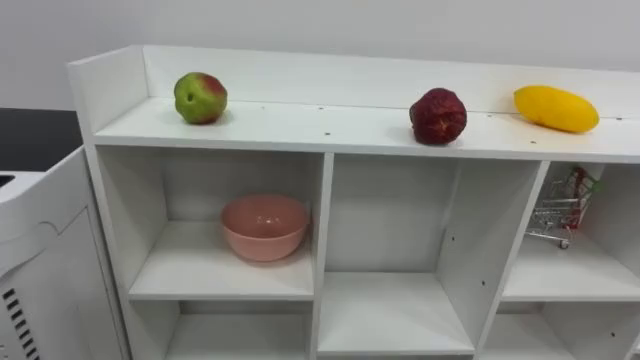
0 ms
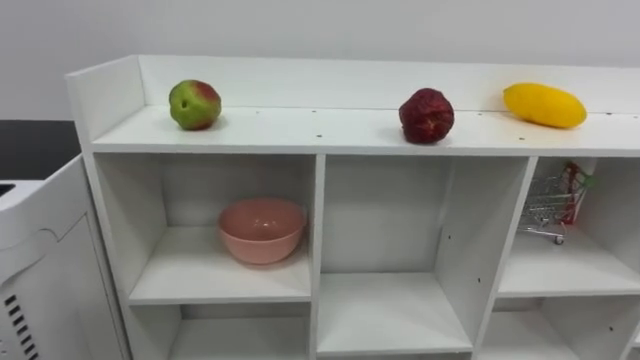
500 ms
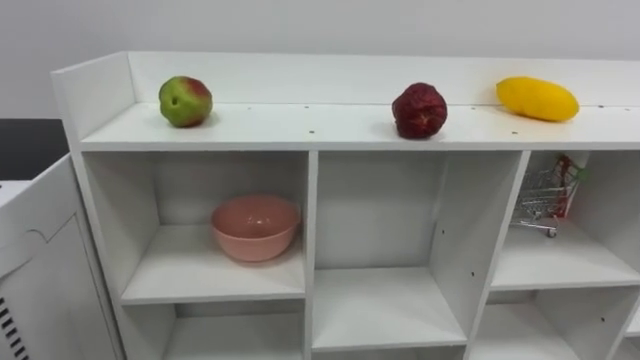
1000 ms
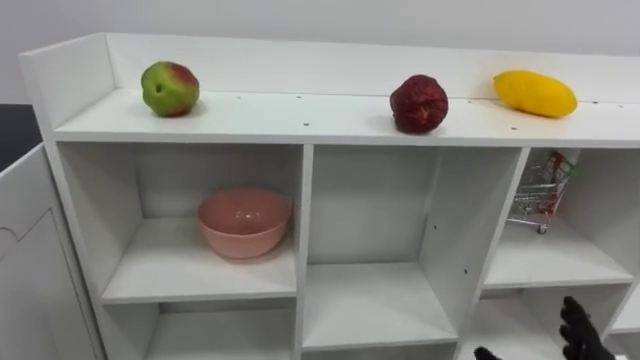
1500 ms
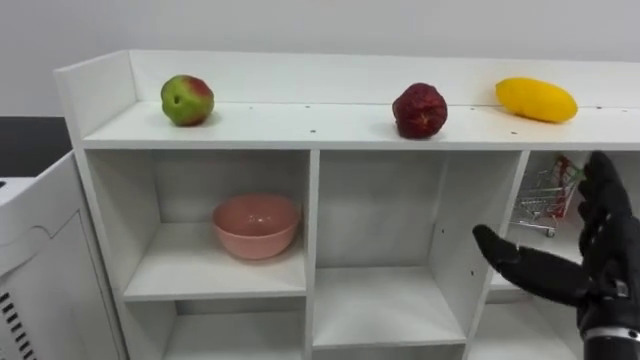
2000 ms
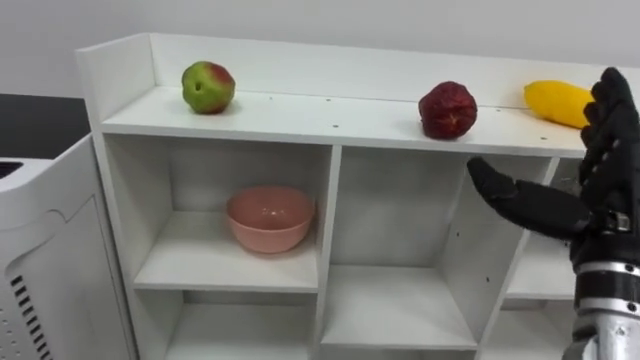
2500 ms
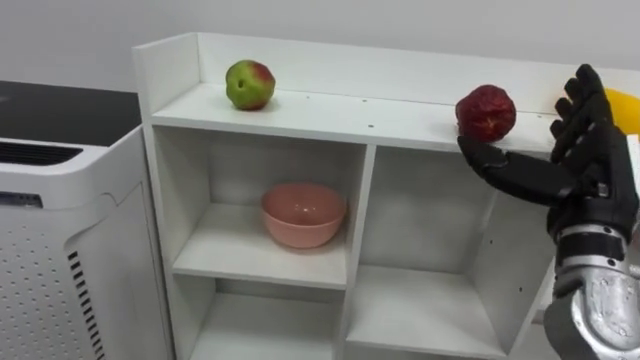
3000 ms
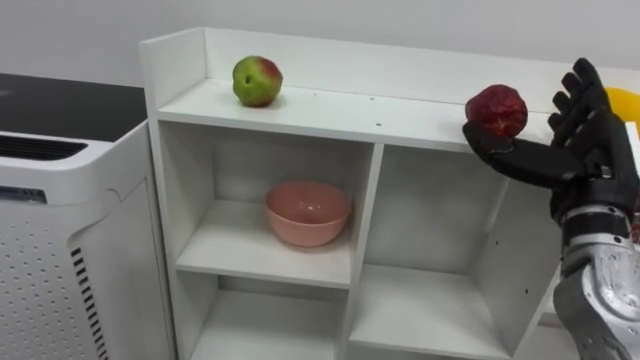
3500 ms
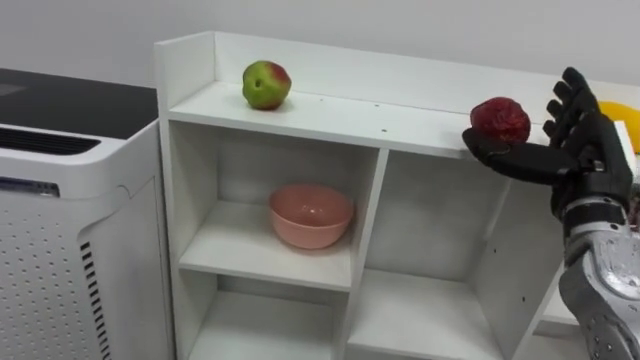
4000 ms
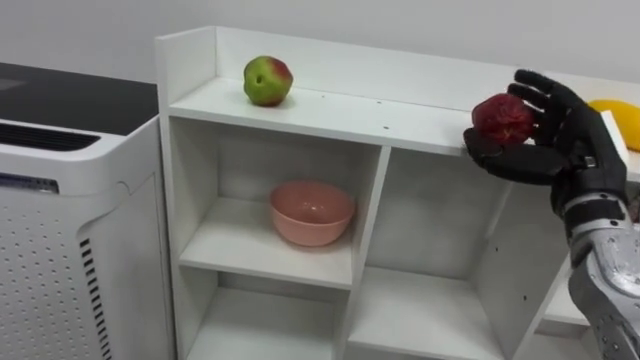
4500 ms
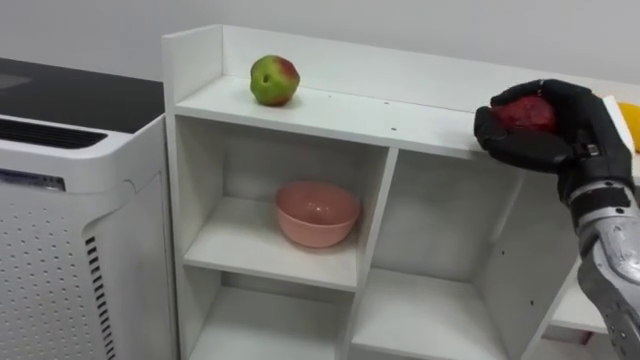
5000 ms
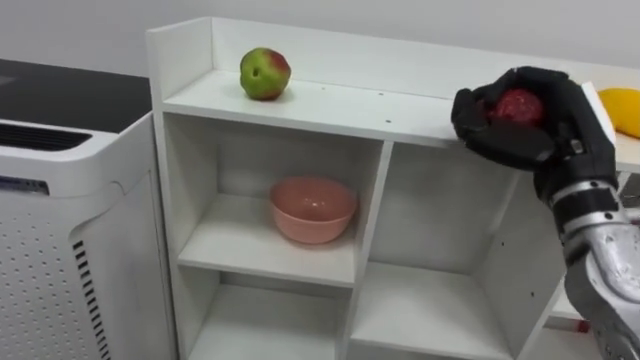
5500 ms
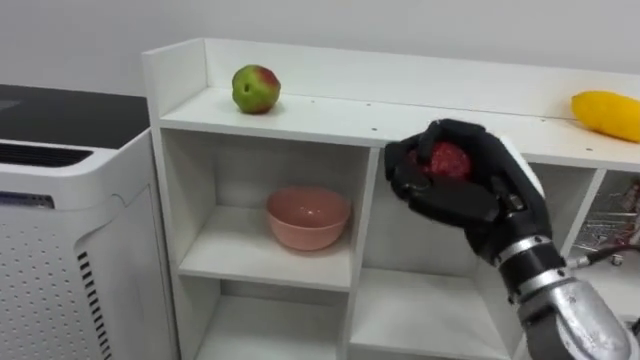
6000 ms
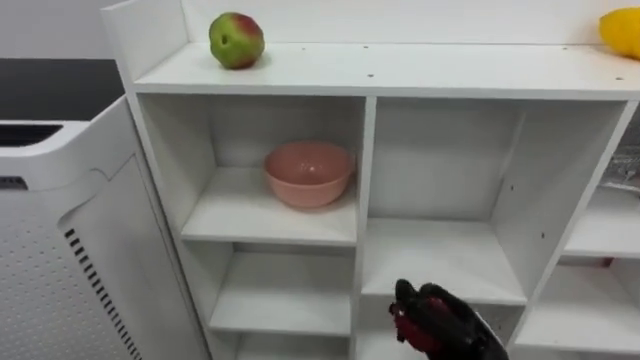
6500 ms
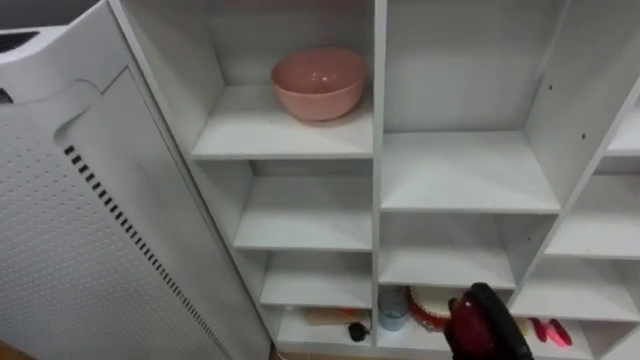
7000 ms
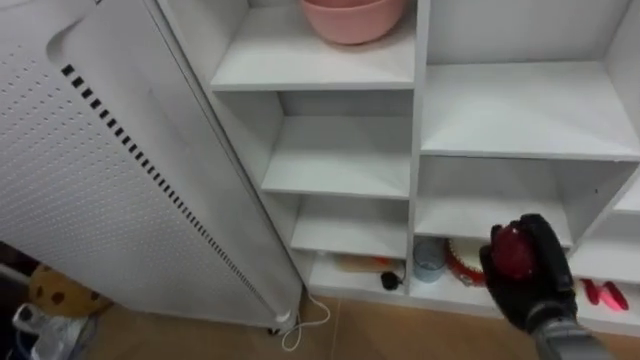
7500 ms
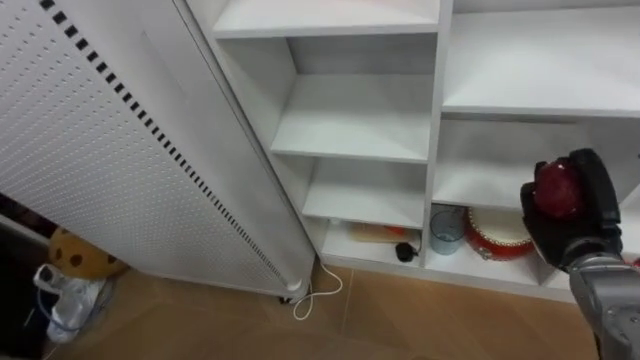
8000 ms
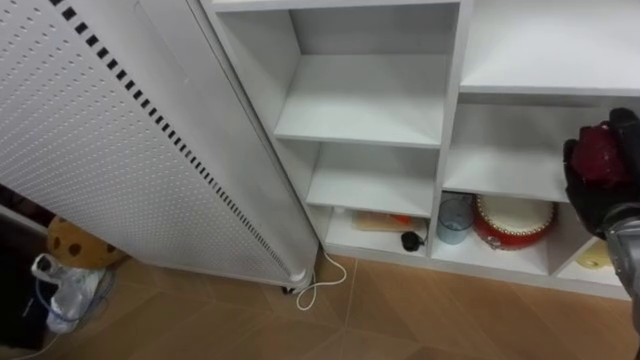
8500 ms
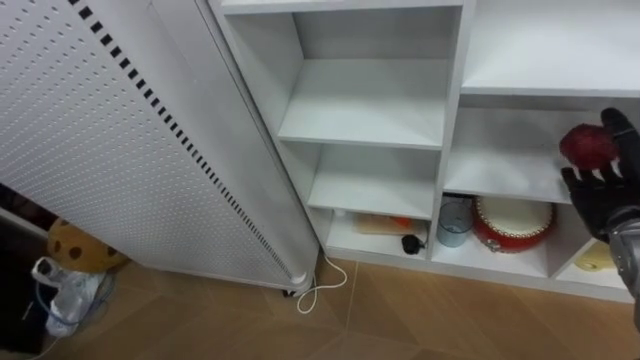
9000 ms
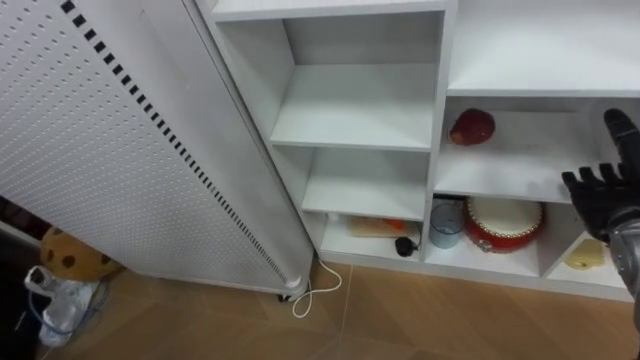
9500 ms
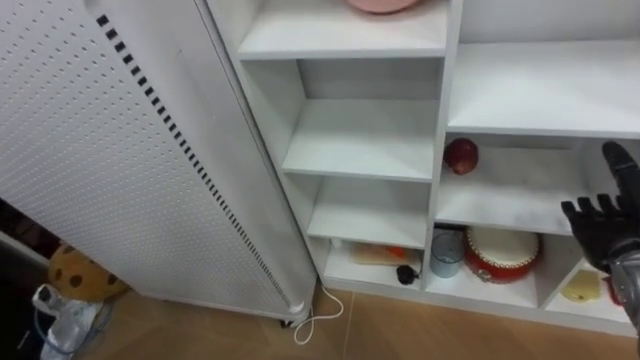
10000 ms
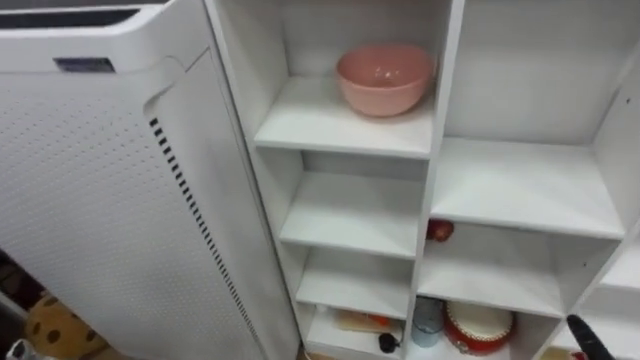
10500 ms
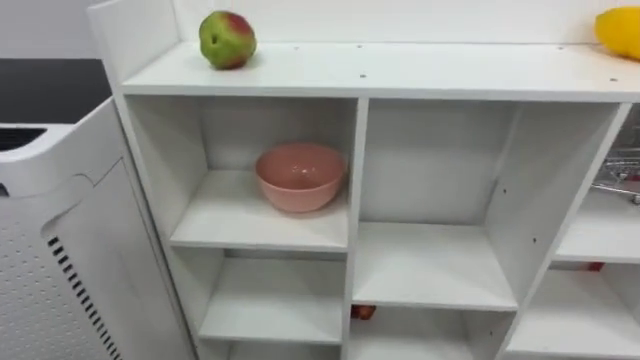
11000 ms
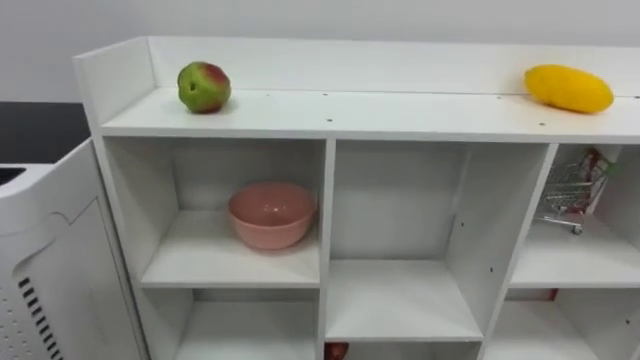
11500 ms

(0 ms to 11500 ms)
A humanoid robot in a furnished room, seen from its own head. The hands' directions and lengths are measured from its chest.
Task of the whole recording: Put the apple in the cell in the second column from the left and the second row from the top.
2000 ms - 4000 ms: The right hand is displaced forward and upward by roughly 10 cm.
4000 ms - 6000 ms: The right hand moves to the left, some 10 cm, and closes its fingers.
7500 ms - 9500 ms: The right hand moves upward and to the right, about 15 cm, and opens up.

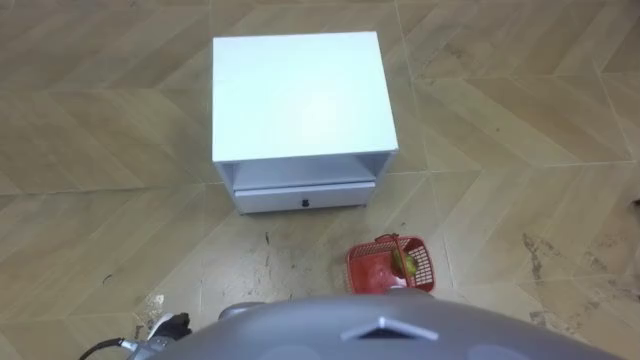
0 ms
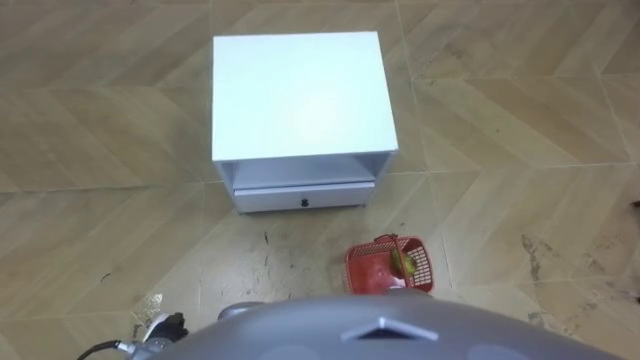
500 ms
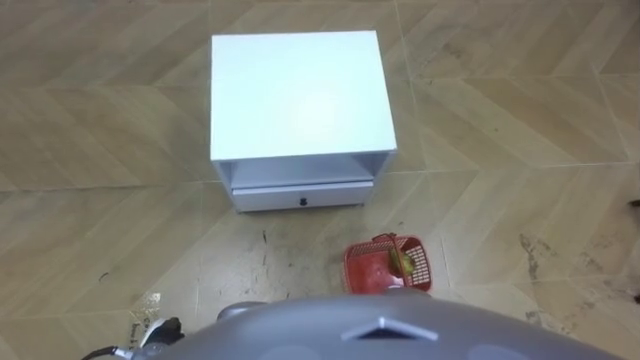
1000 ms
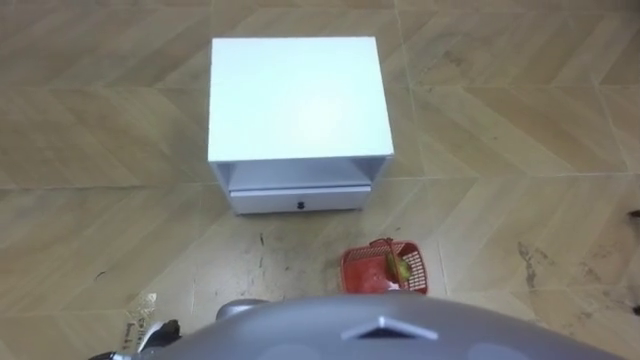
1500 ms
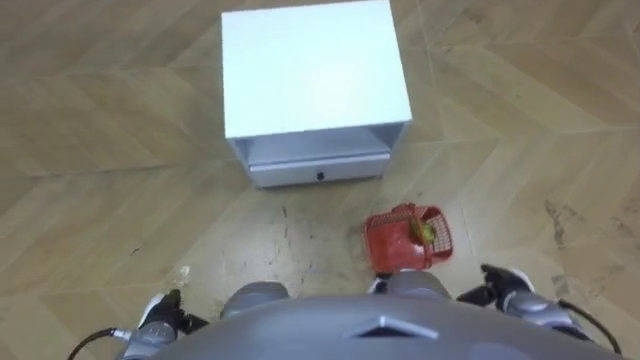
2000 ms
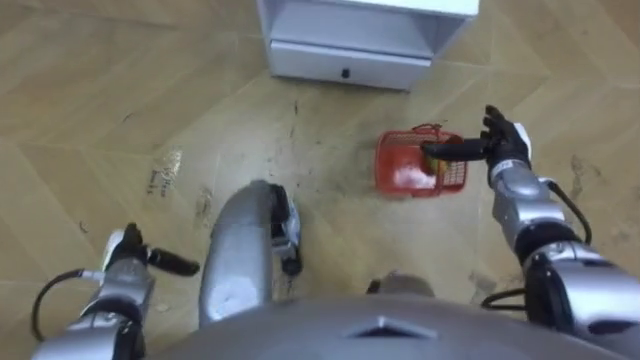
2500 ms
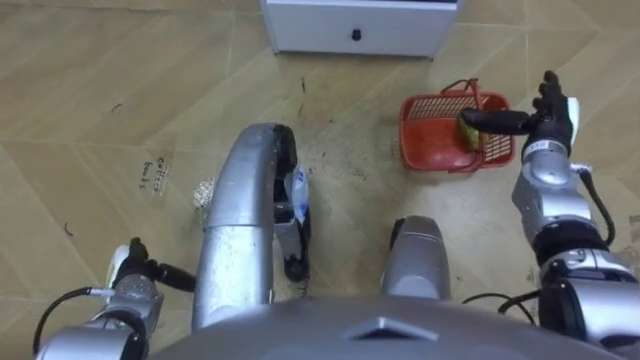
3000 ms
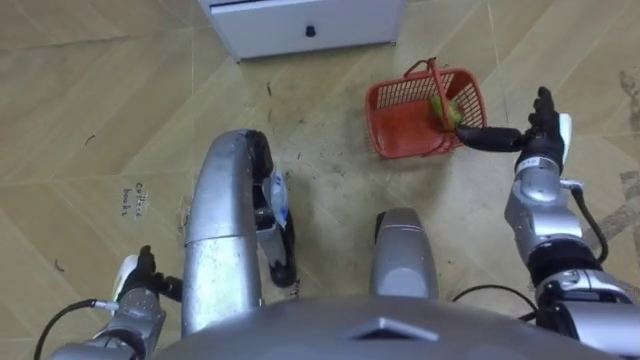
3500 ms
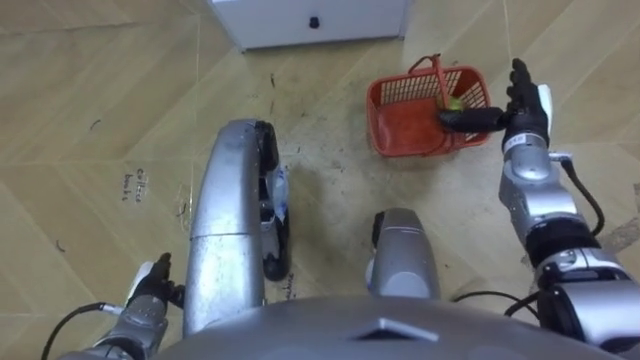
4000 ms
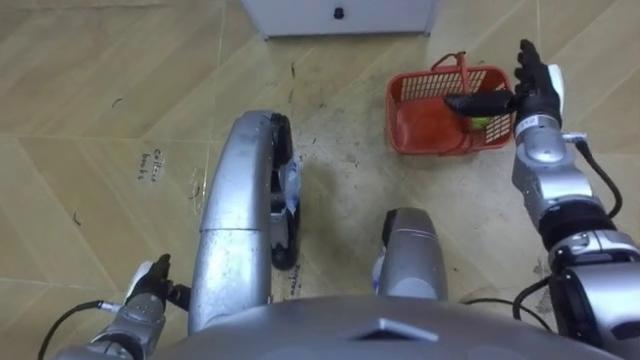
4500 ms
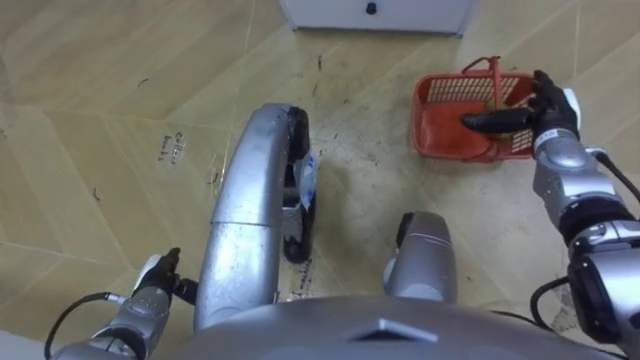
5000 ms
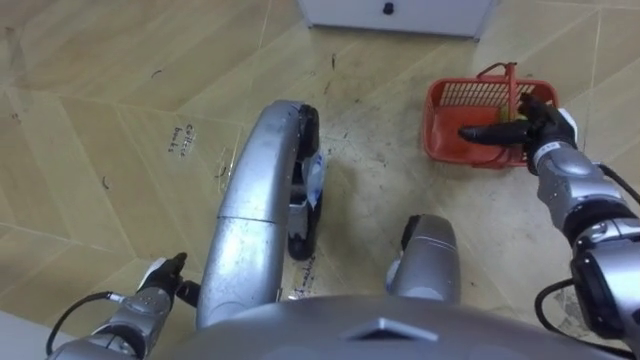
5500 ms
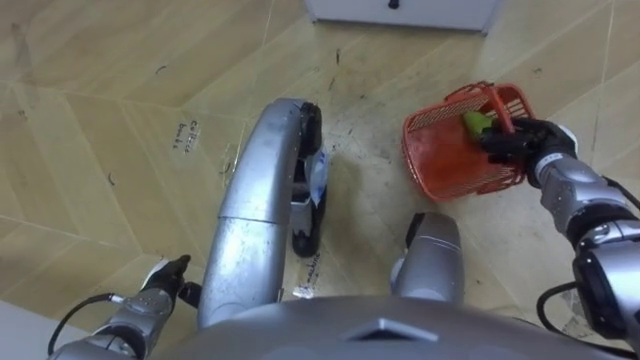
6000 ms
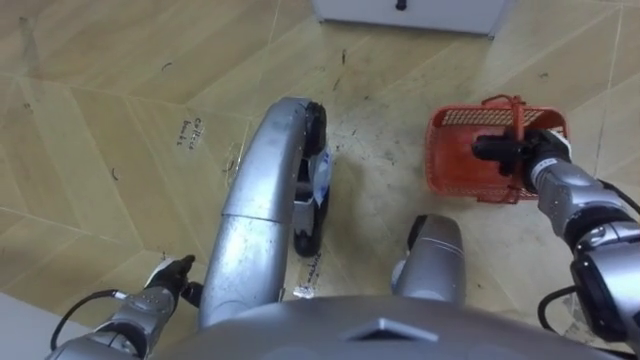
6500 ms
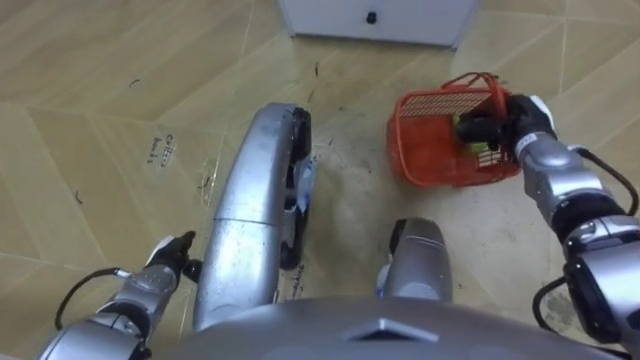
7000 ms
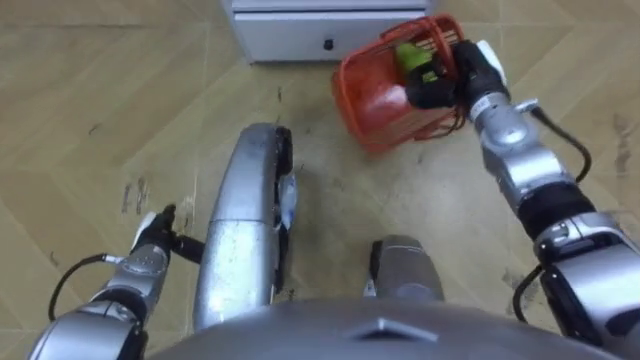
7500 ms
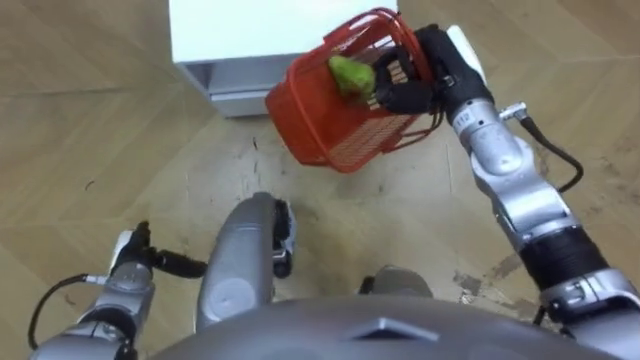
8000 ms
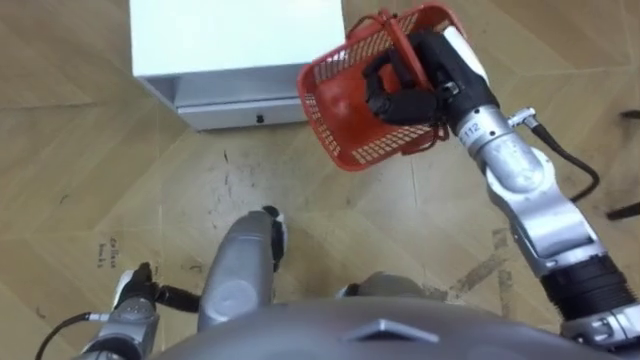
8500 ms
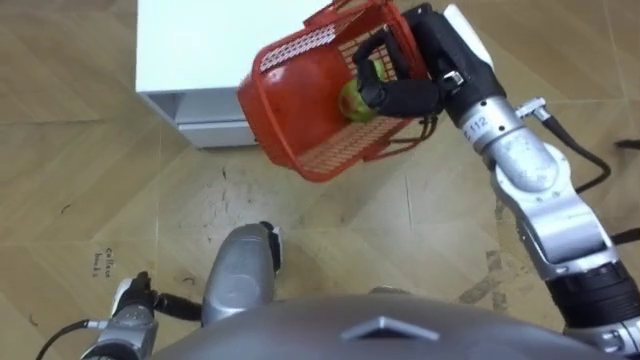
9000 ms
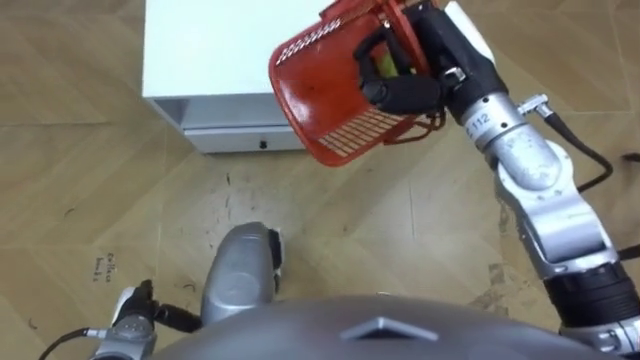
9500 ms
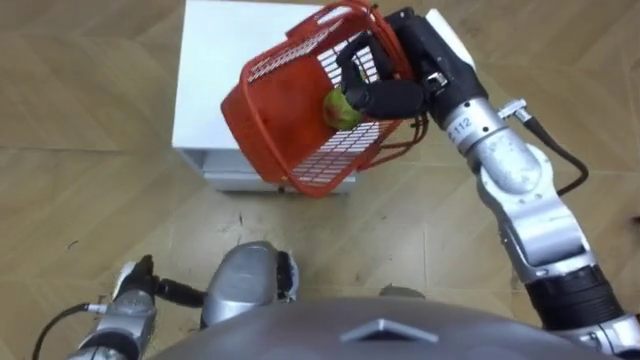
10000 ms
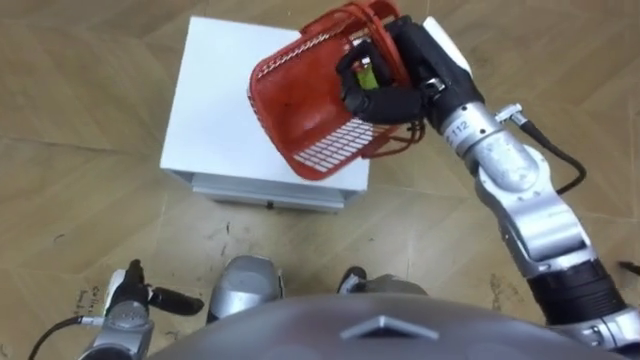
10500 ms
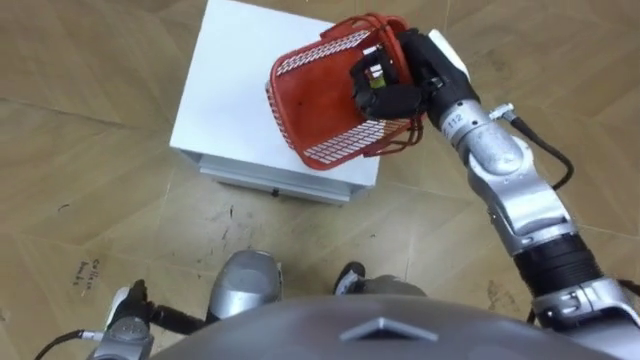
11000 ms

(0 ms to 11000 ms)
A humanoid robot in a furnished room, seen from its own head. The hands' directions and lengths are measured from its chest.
Task of the whole recording: Pick up the fruit basket from the floor and place it on the cabinet.
2000 ms - 3500 ms: The right hand is displaced forward and upward by roughly 25 cm. The left hand moves forward, about 5 cm.
5500 ms - 7500 ms: The left hand shifts roughly 10 cm forward. The right hand heads to the left, forward and upward, covering roughly 15 cm, and closes up.
7500 ms - 9000 ms: The right hand shifts about 15 cm upward, to the left and backward. Meanwhile the left hand shifts some 10 cm backward.
9000 ms - 11000 ms: The right hand goes roughly 5 cm downward.
